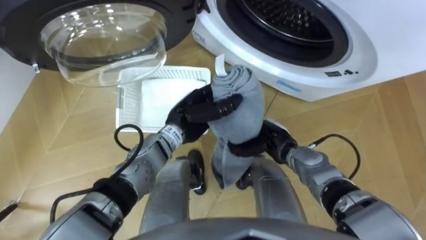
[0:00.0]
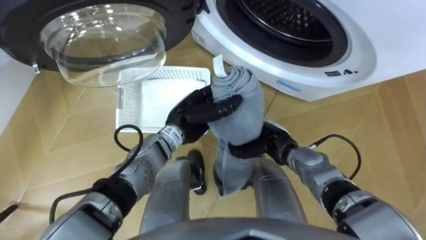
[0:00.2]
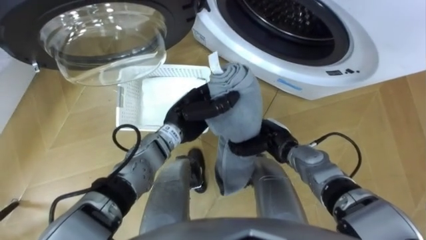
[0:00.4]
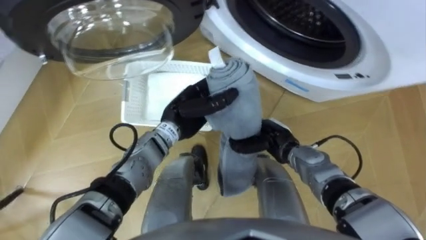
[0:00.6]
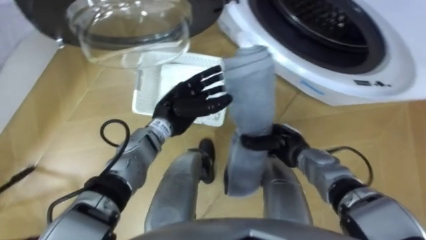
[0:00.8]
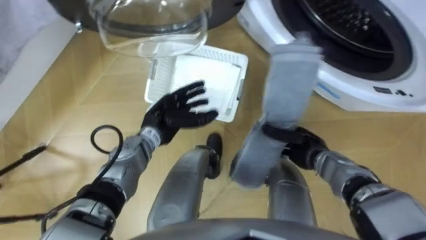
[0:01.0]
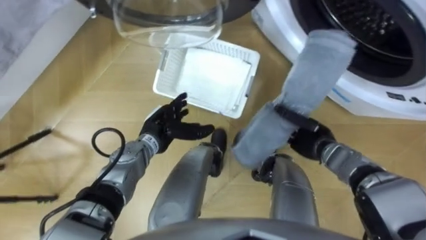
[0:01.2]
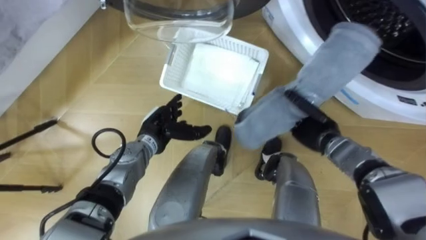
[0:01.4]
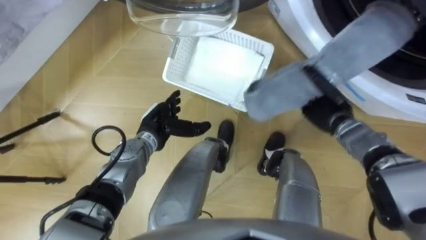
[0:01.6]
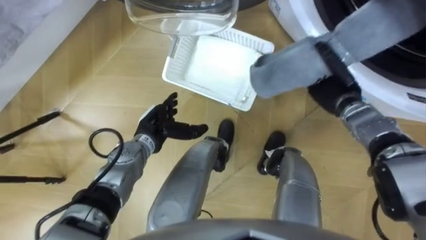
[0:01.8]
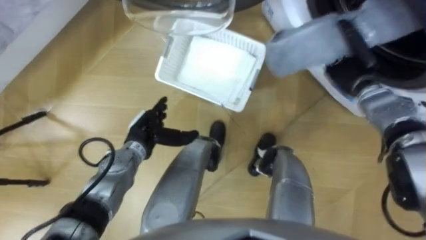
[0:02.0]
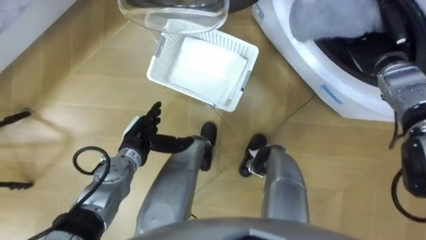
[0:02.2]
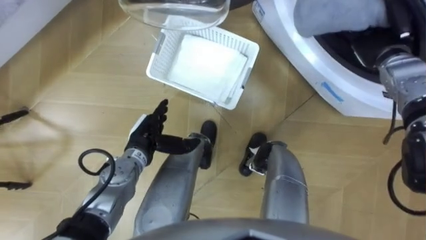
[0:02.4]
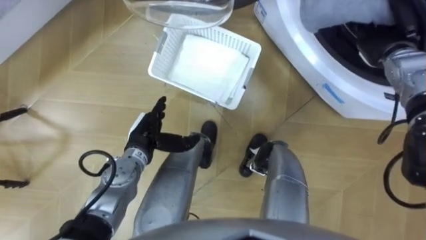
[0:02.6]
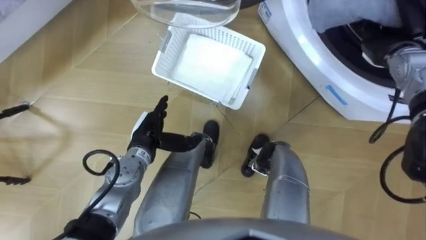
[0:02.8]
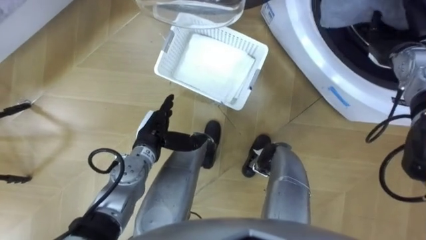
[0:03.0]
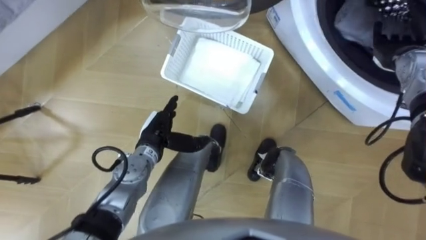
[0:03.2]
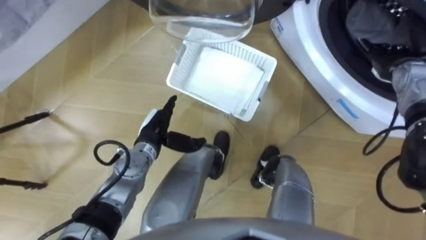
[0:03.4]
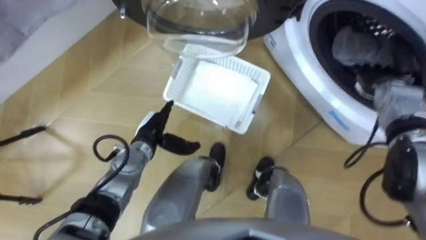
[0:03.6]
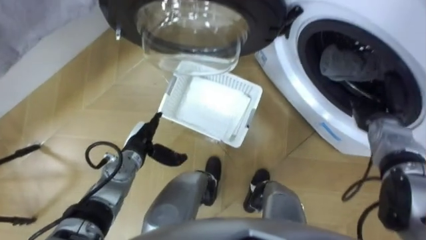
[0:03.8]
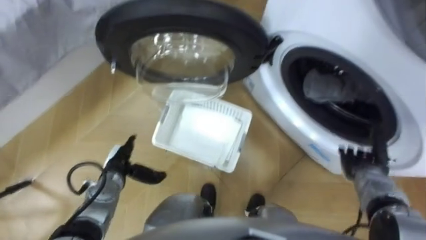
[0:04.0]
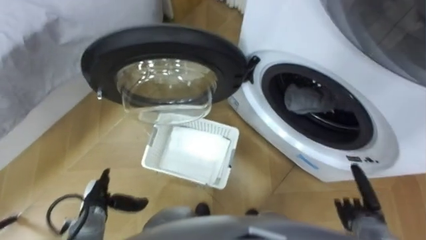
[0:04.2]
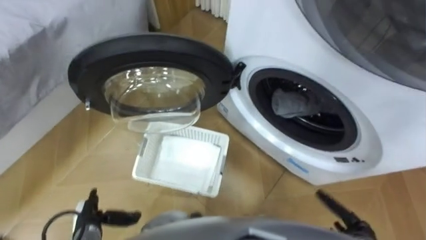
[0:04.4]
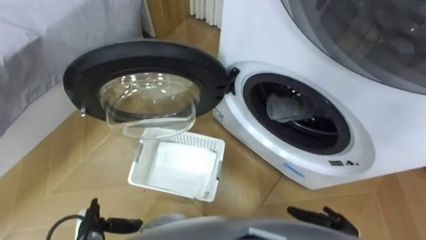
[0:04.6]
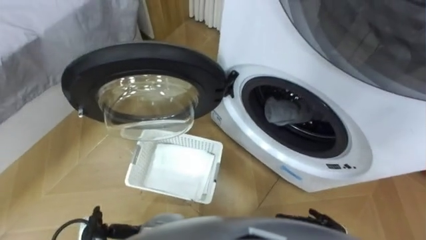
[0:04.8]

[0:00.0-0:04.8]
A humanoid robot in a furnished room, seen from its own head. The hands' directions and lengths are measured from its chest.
Task of the whole recording: Take the towel from the basket and put it into the washing machine.
0:00.0 to 0:01.6: The right hand goes some 15 cm to the right and forward. The left hand heads to the left and downward, covering approximately 10 cm, and opens up.
0:01.6 to 0:03.2: The right hand goes approximately 20 cm to the right, upward and forward, and opens.
0:03.2 to 0:04.8: The left hand is displaced backward, to the left and downward by about 25 cm. The right hand is displaced backward and downward by approximately 40 cm.

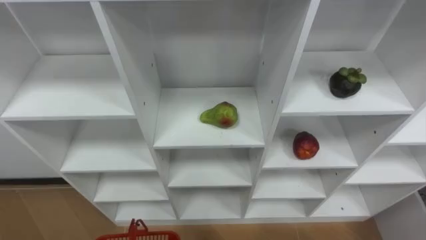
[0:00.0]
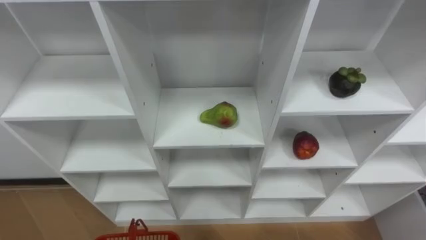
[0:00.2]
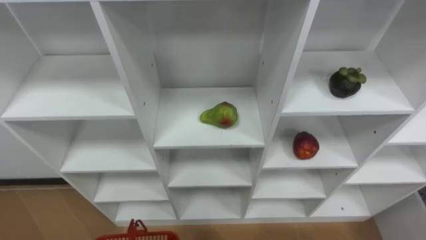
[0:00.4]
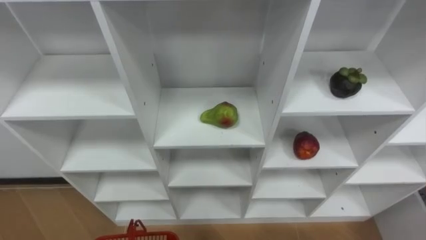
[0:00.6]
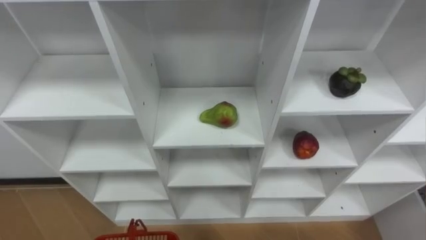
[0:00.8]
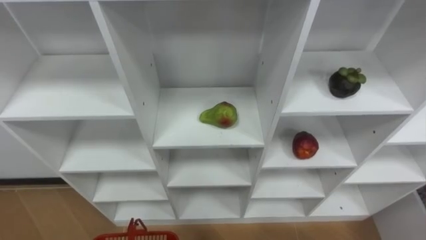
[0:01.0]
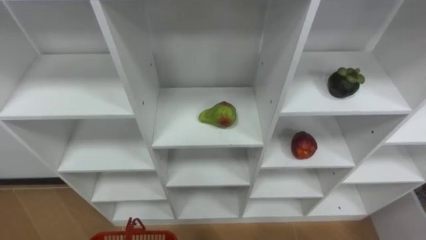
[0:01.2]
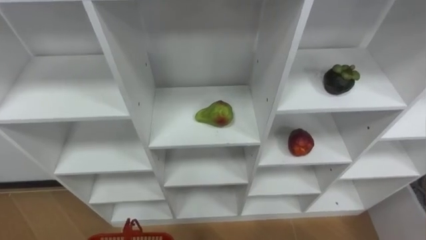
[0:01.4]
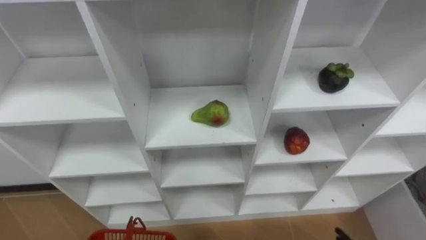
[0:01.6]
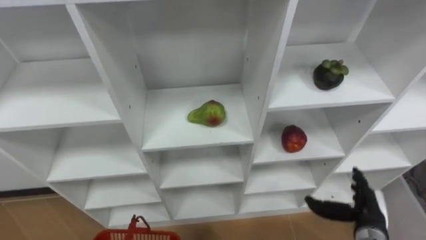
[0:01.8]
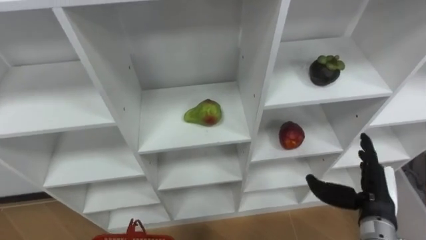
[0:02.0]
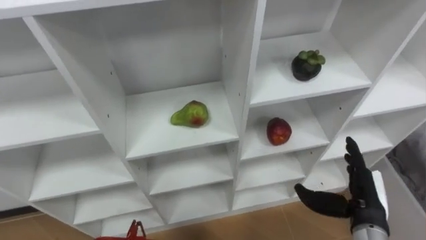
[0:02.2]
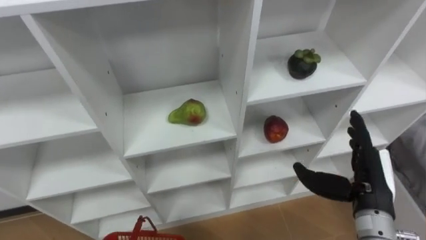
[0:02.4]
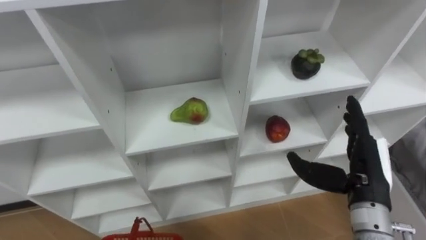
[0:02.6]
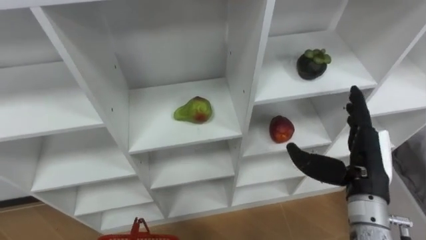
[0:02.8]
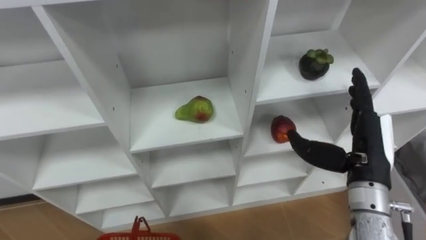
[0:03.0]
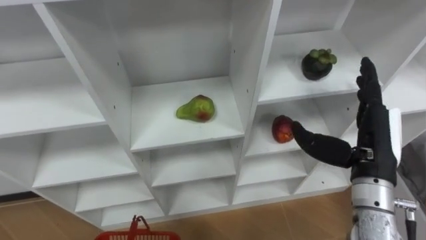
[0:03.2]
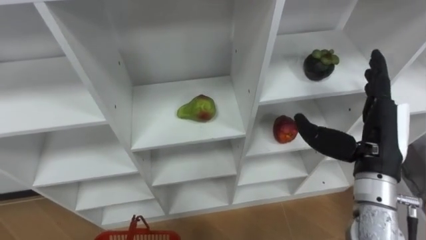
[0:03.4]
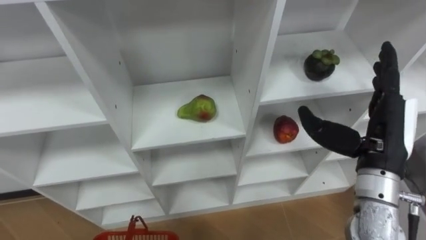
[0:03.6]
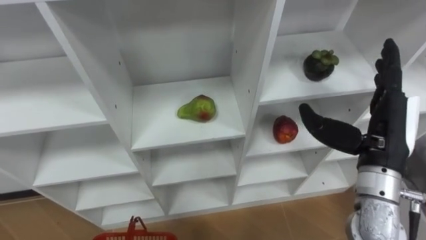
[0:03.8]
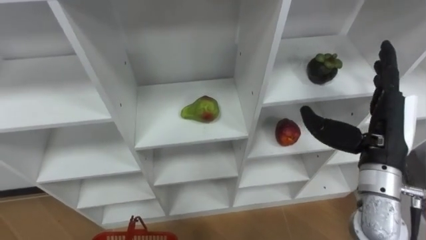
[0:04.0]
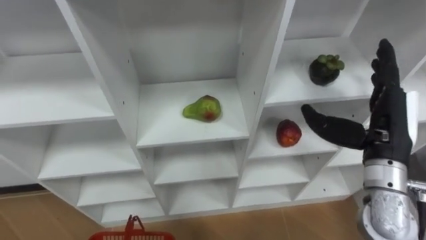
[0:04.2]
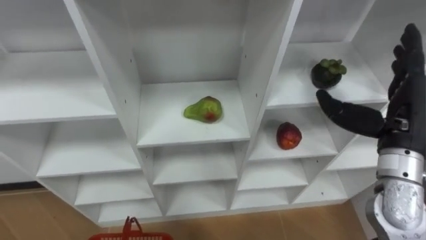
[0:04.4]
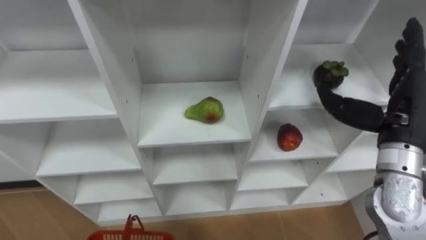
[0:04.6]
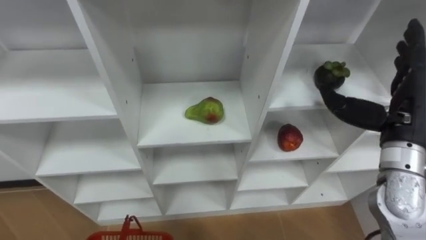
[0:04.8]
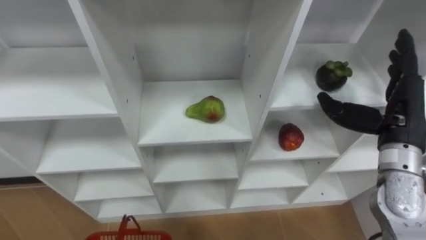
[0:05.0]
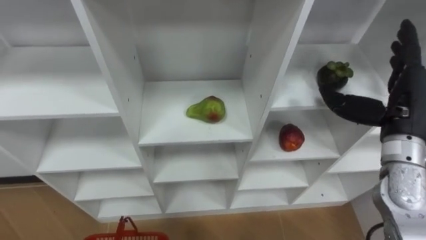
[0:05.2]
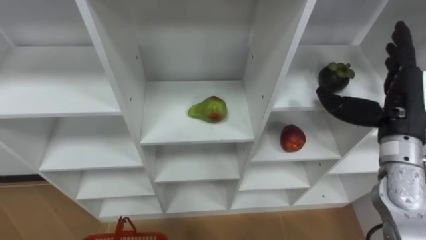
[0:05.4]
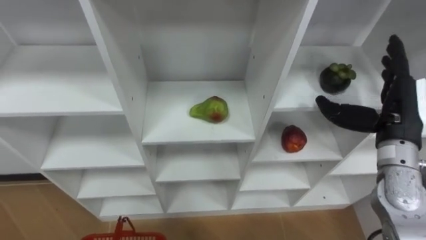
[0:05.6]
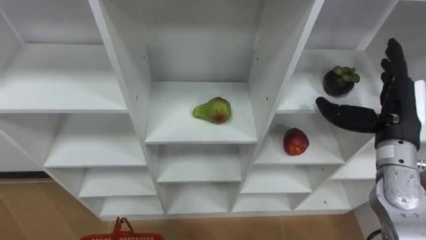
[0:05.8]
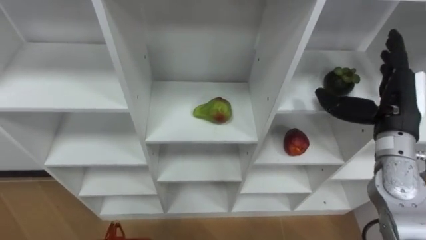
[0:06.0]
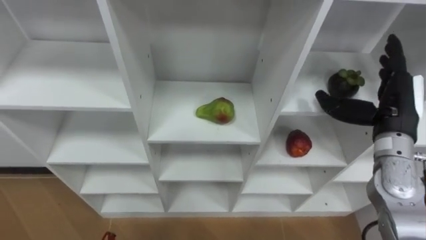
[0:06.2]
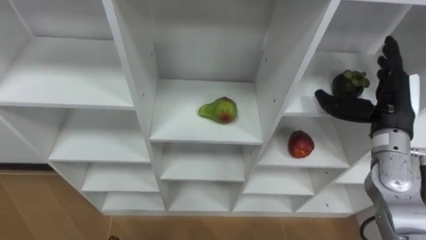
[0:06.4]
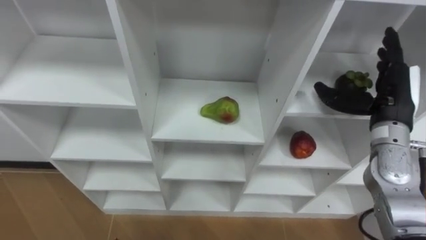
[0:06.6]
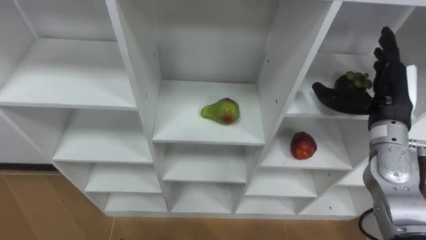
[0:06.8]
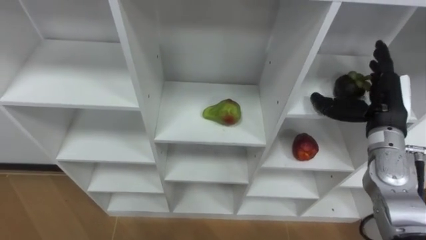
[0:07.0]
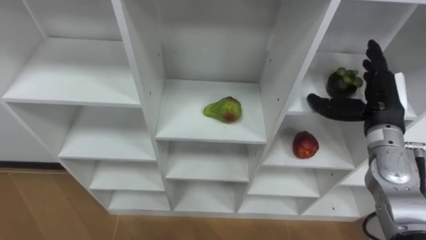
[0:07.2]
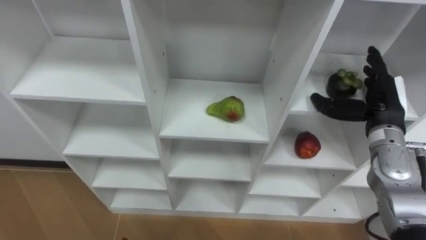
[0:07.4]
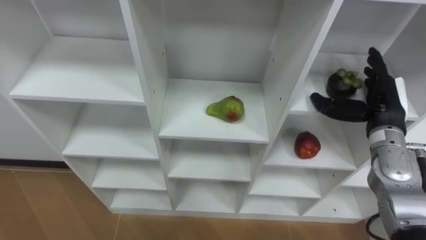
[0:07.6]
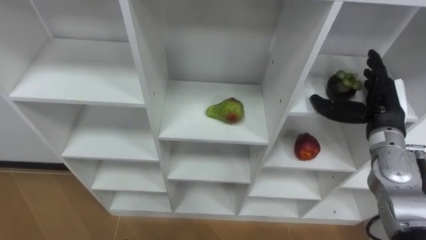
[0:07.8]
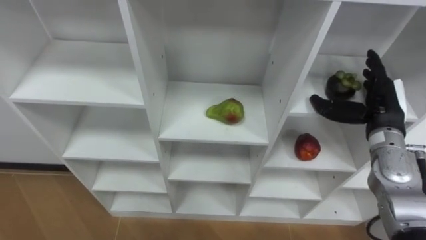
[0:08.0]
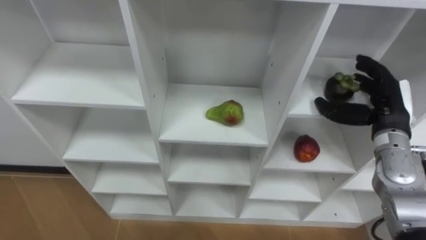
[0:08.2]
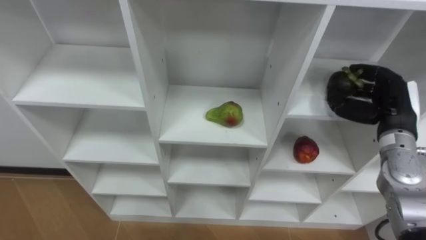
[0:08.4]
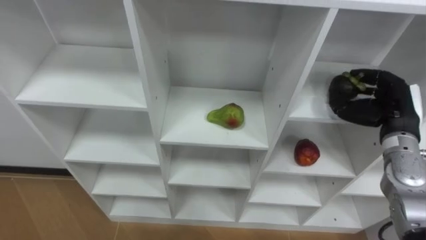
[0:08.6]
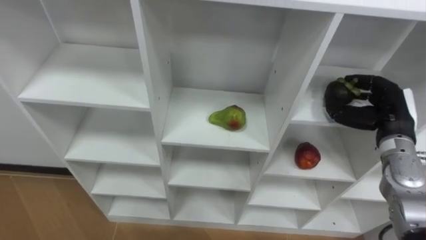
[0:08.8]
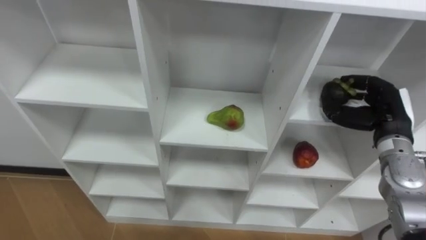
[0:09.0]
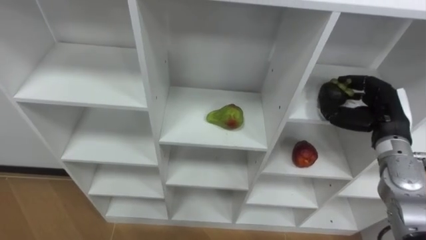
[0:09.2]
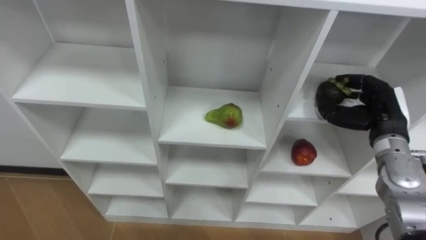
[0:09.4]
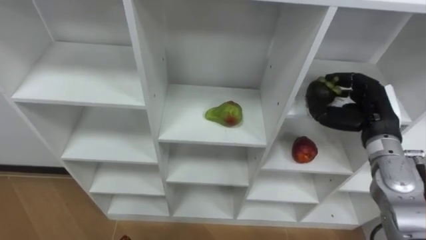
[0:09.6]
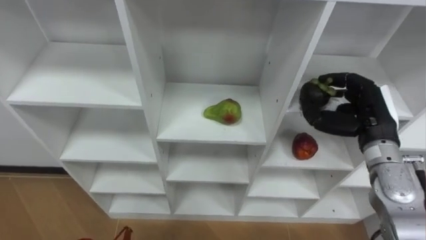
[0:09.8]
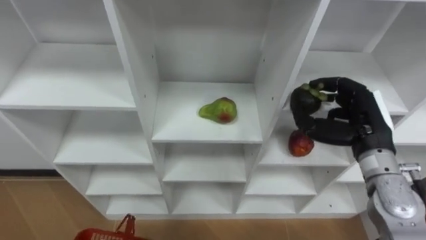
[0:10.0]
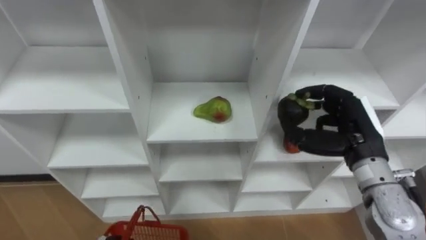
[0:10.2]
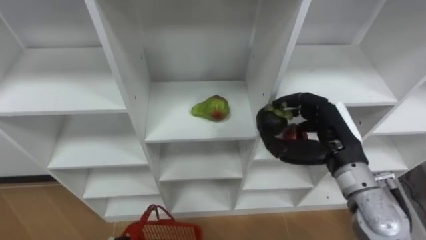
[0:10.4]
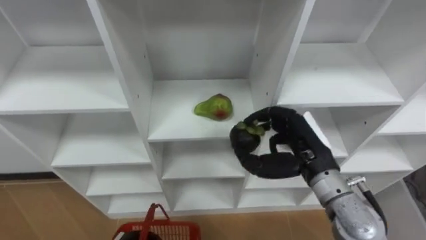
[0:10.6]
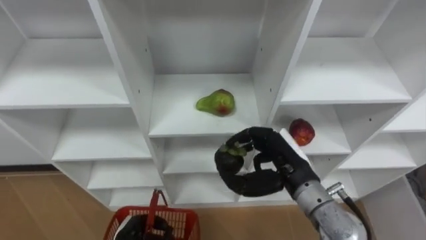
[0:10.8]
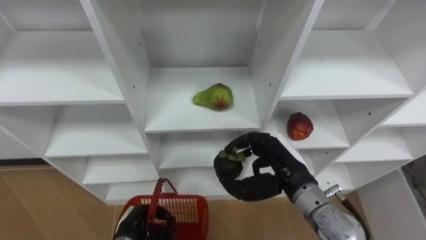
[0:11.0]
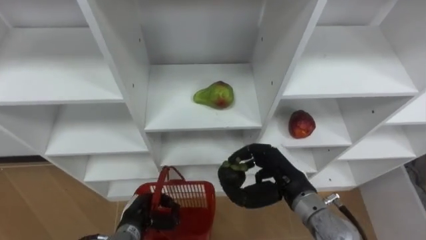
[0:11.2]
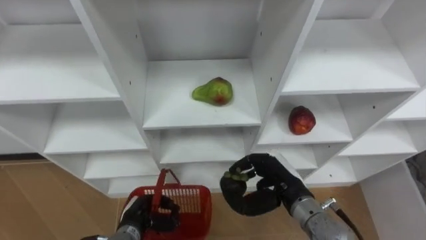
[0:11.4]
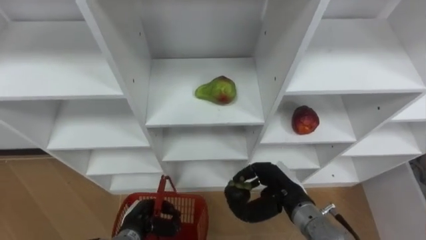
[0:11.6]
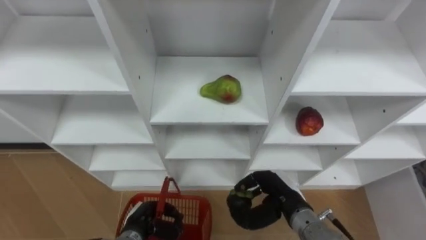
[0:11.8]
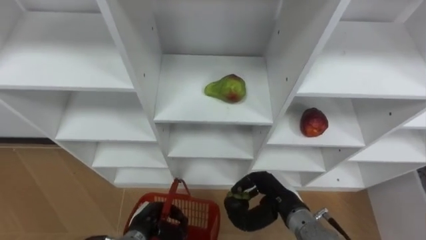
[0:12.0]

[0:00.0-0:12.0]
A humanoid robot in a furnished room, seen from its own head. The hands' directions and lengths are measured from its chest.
Task of the whole recording: Hold the basket and collect the fruits from 3 different cells of the closet into it.
0:03.0 to 0:04.4: The right hand moves approximately 5 cm.
0:06.0 to 0:07.6: The right hand changes place by some 5 cm.
0:07.6 to 0:09.0: The right hand closes up.
0:09.0 to 0:10.4: The right hand travels to the left and backward by some 10 cm.
0:10.4 to 0:12.0: The right hand goes approximately 15 cm downward and to the left.
